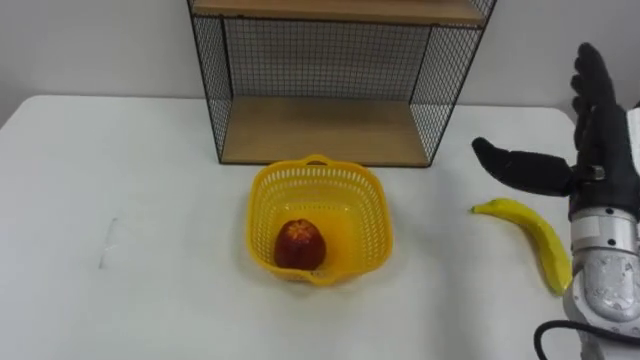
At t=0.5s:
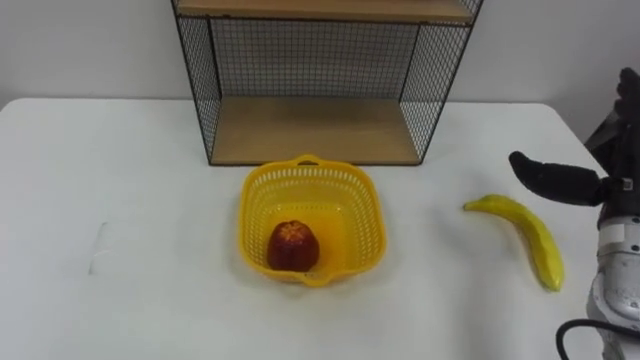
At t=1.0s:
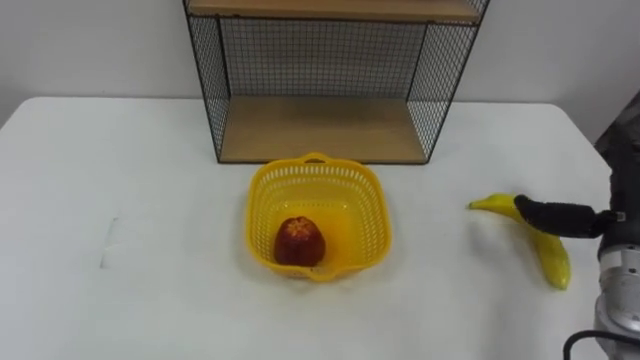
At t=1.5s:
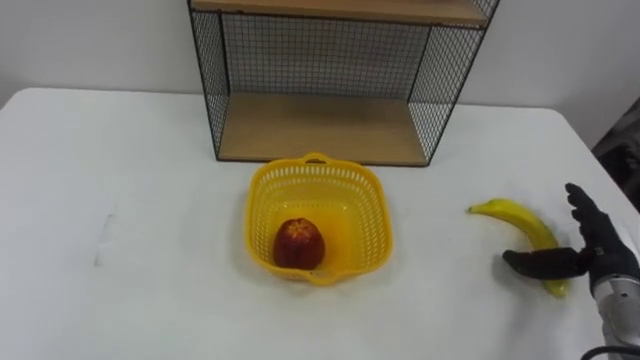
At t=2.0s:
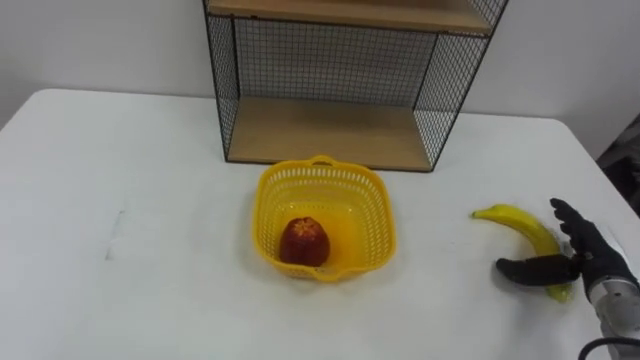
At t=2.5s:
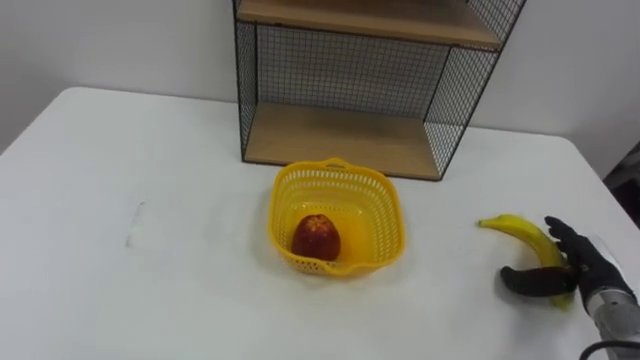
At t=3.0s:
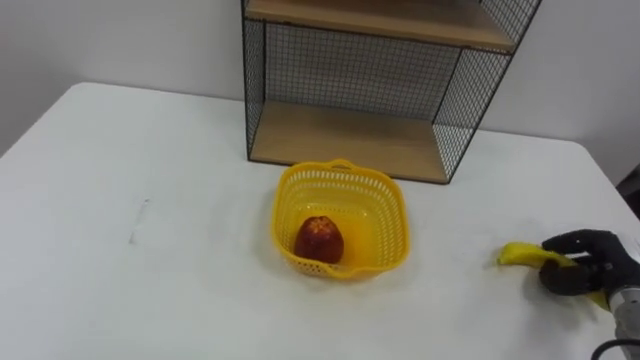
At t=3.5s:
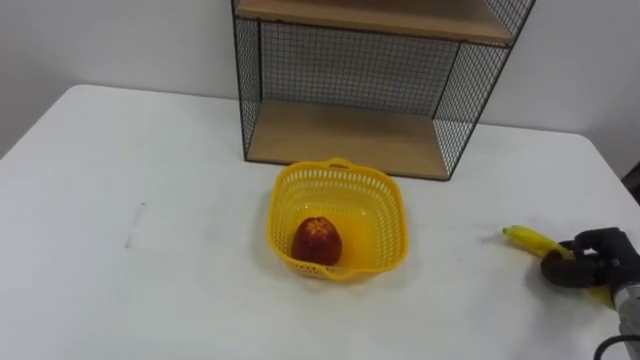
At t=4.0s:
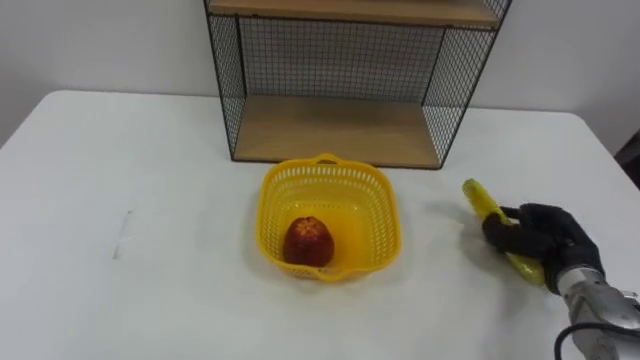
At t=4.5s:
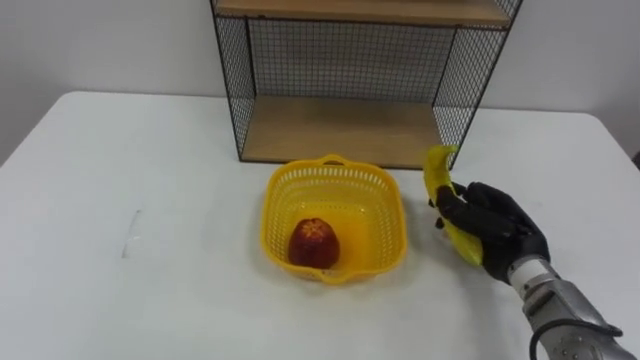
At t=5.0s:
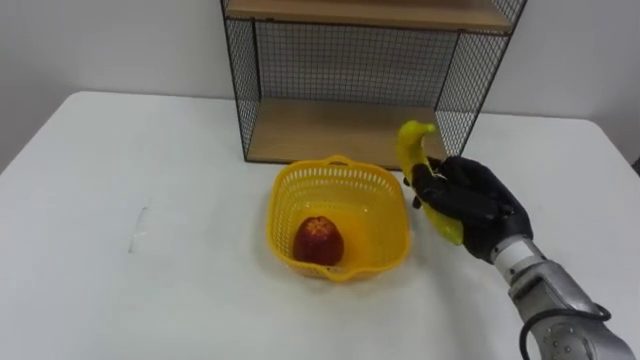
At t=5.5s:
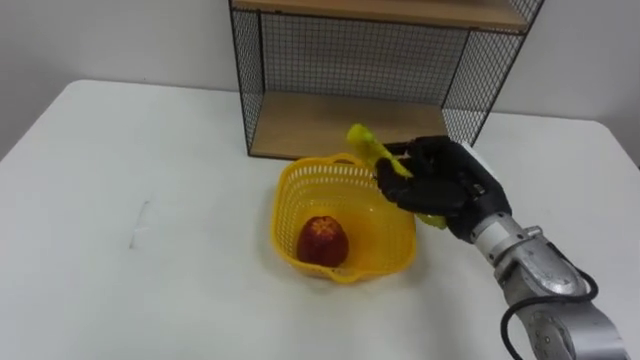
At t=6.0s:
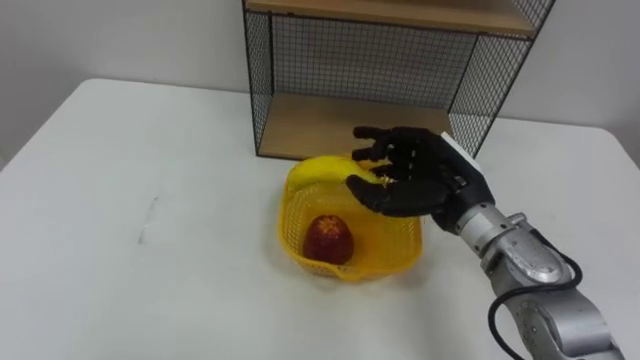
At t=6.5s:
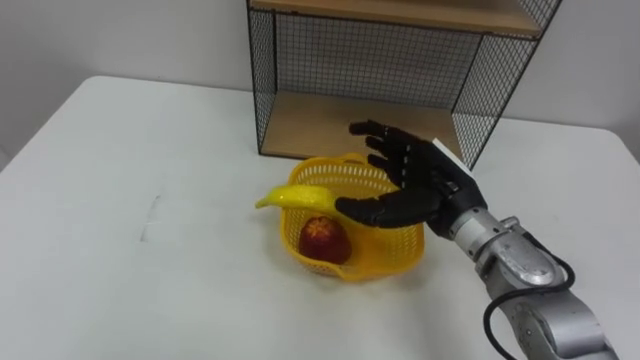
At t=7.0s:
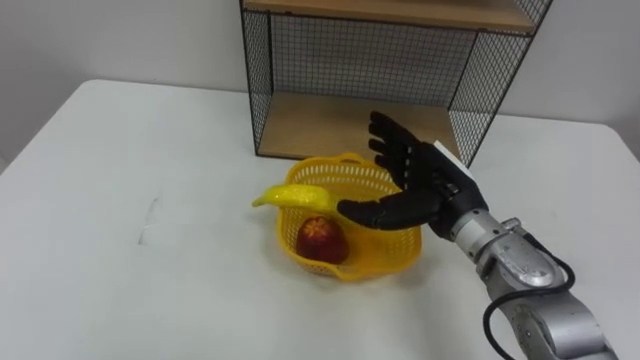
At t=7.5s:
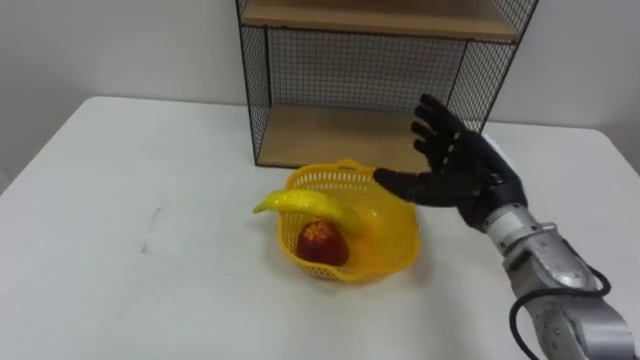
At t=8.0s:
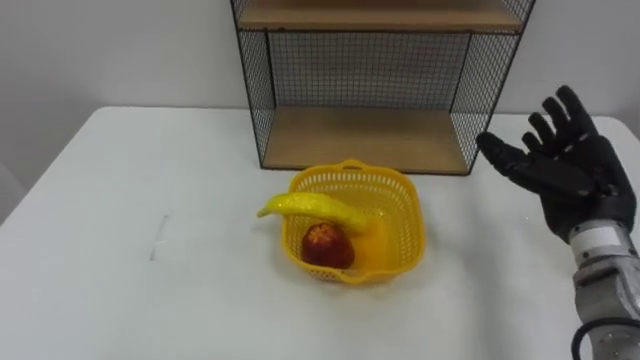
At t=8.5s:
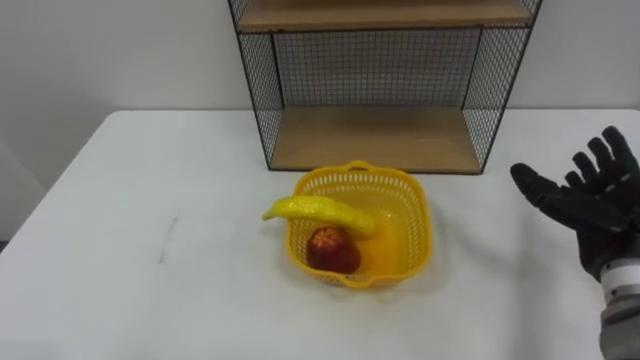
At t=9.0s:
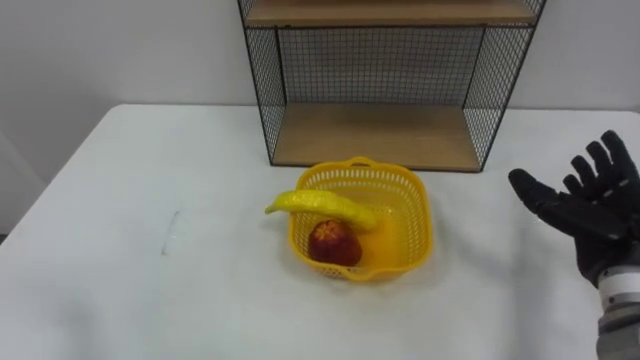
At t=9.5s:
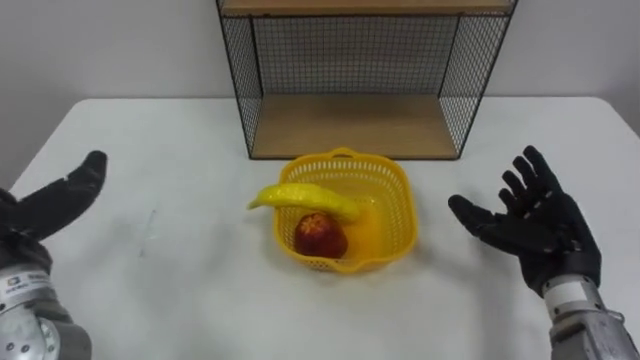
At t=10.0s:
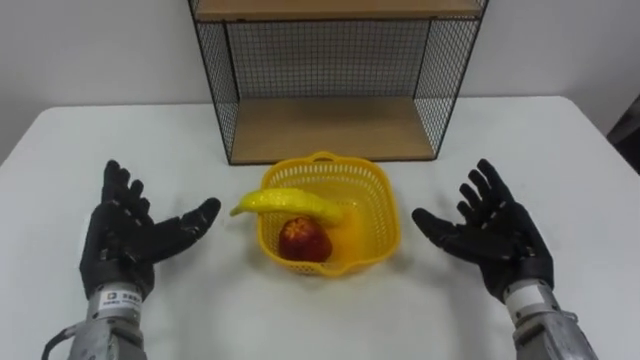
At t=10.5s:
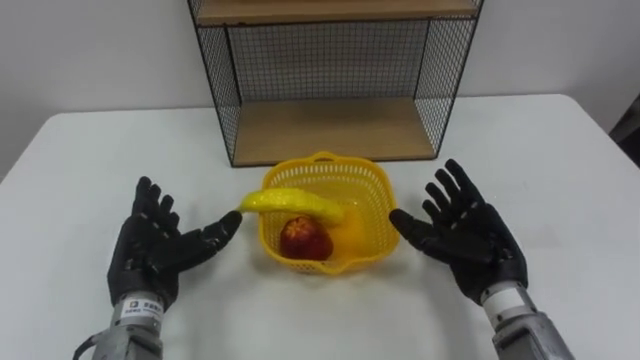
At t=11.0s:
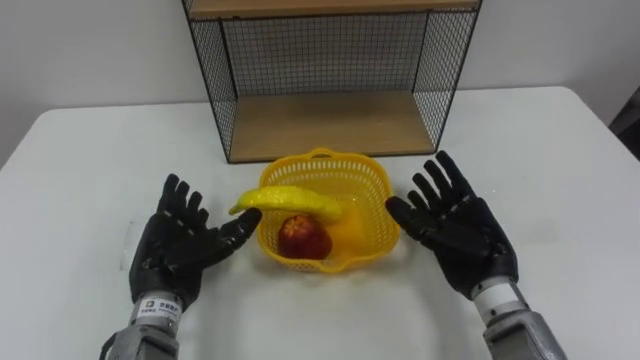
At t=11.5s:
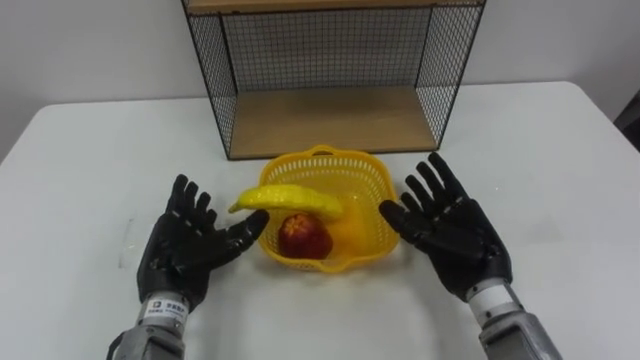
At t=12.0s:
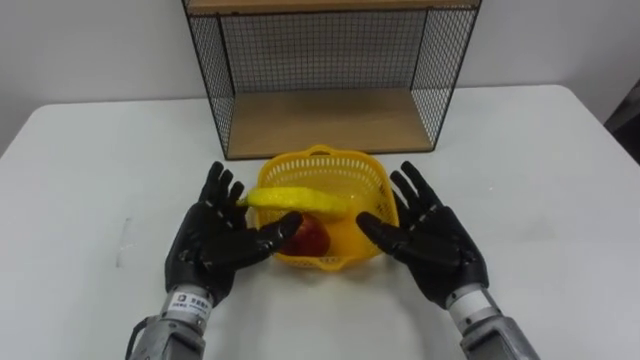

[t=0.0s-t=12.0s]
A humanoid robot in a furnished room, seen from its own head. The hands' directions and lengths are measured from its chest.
Task of the whole recording: Put the fruit on the table into the basket, then place the basket on the shelf.
t=2.0s to t=4.0s: The right hand closes up.
t=4.0s to t=6.0s: The right hand goes roughly 20 cm to the left and upward.
t=6.0s to t=8.0s: The right hand travels to the right by some 15 cm, and opens.
t=8.0s to t=10.0s: The right hand heads downward and to the left, covering roughly 10 cm.
t=10.0s to t=12.0s: The right hand moves to the left, about 10 cm. Meanwhile the left hand travels to the right by roughly 10 cm.

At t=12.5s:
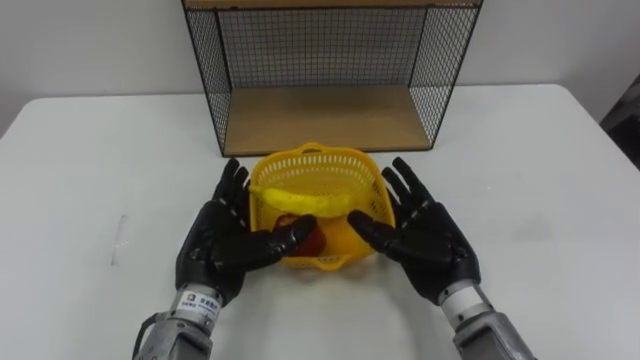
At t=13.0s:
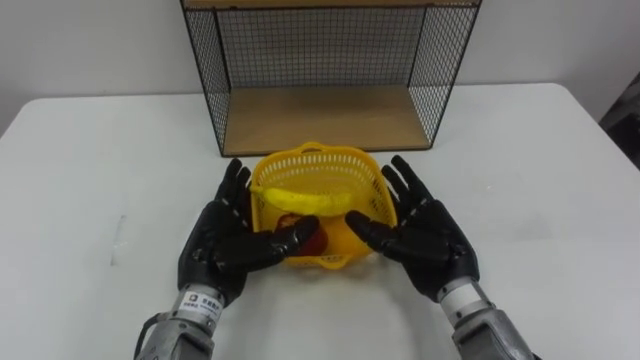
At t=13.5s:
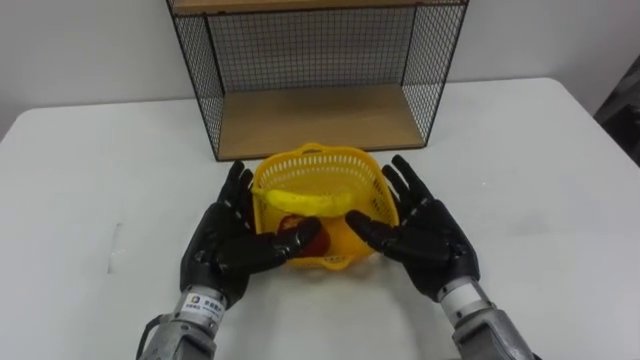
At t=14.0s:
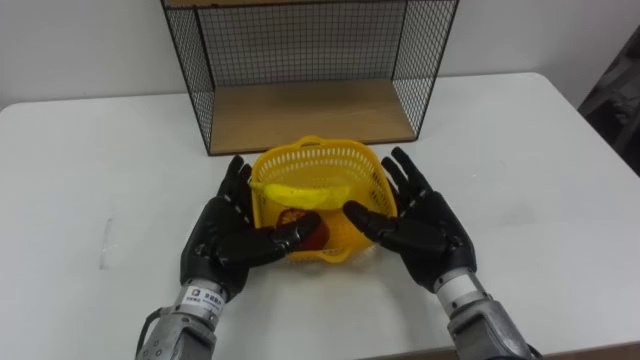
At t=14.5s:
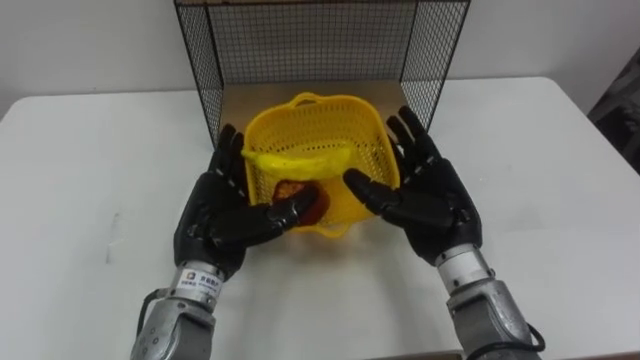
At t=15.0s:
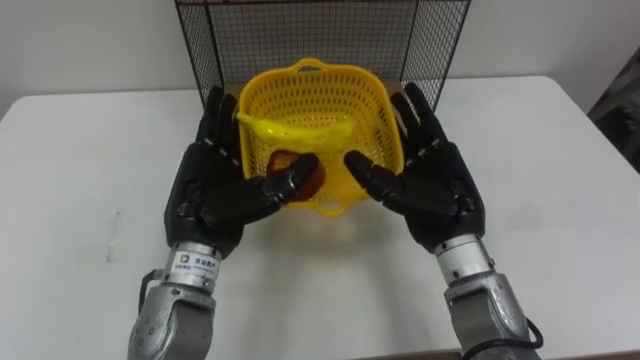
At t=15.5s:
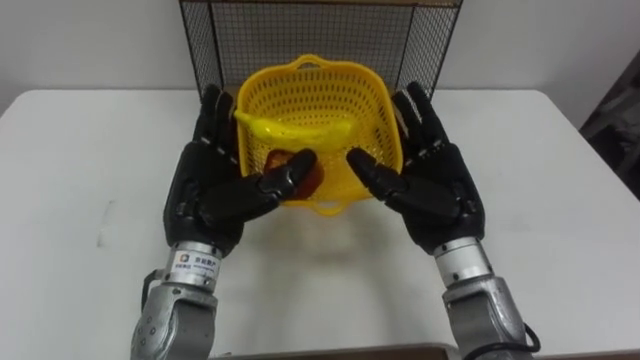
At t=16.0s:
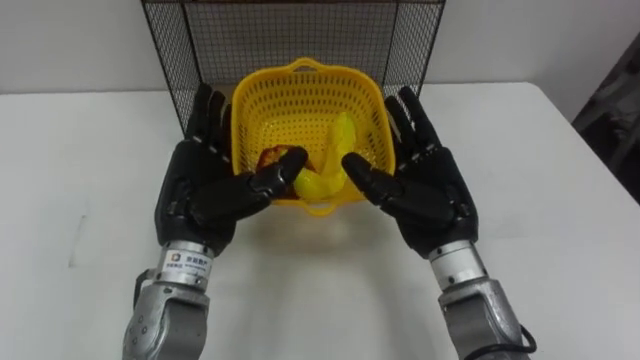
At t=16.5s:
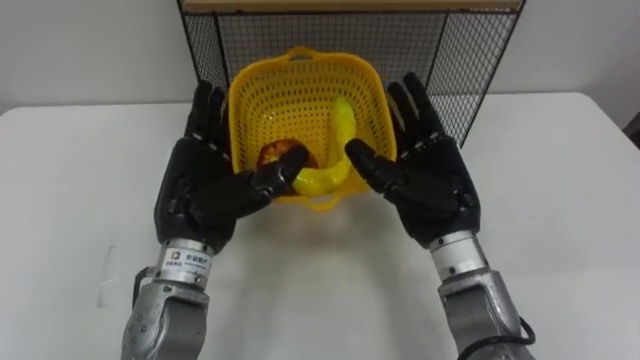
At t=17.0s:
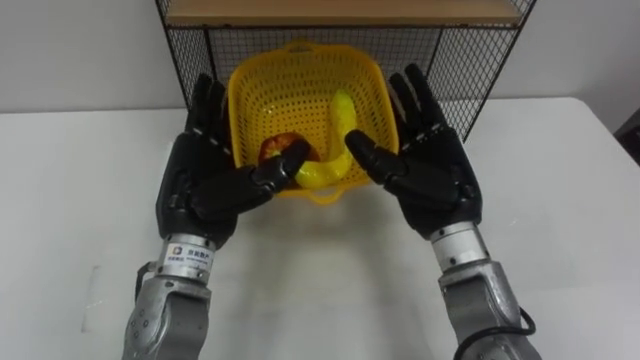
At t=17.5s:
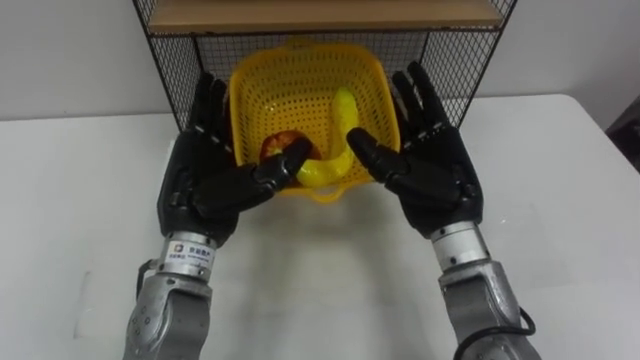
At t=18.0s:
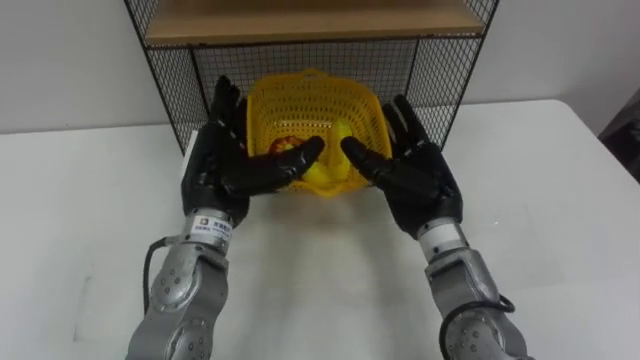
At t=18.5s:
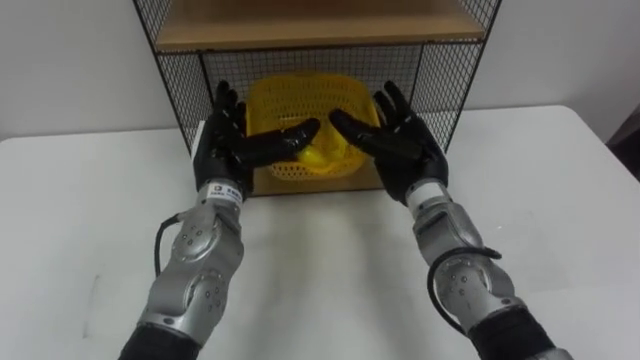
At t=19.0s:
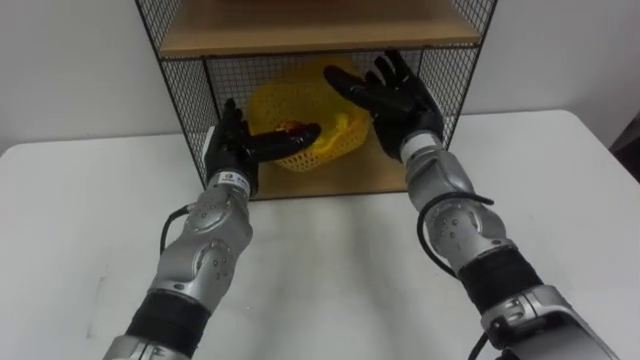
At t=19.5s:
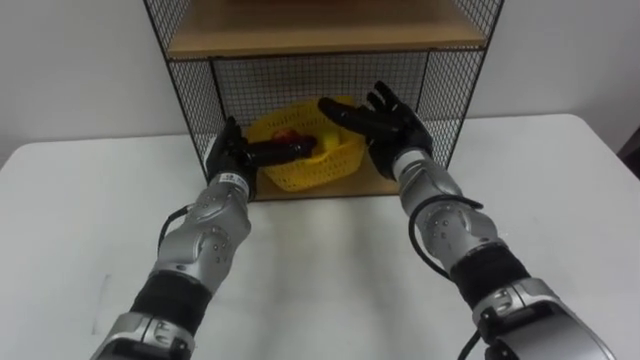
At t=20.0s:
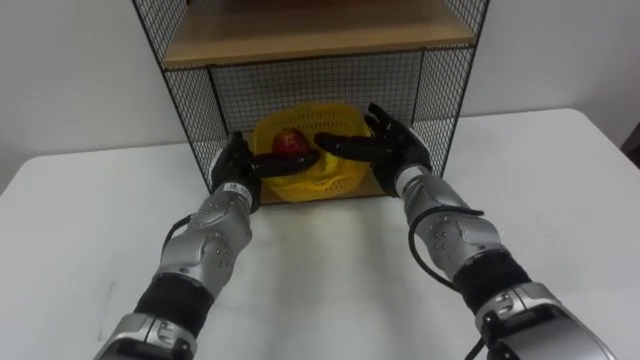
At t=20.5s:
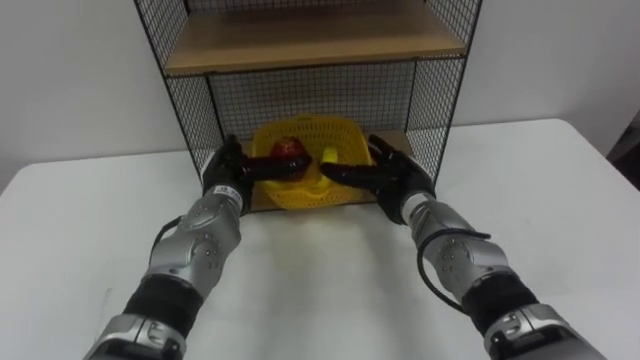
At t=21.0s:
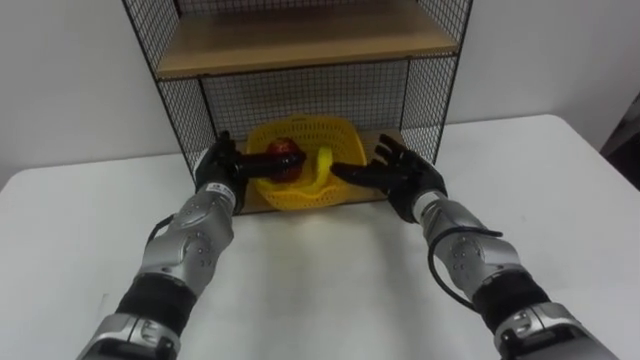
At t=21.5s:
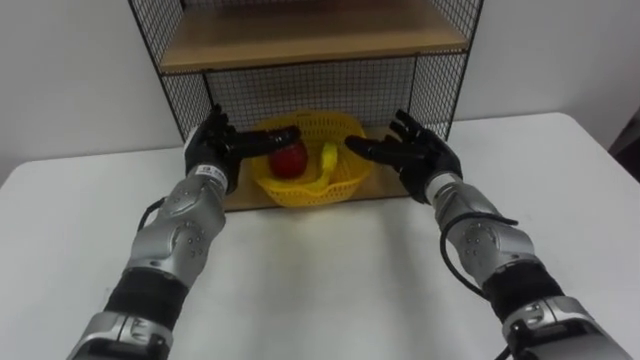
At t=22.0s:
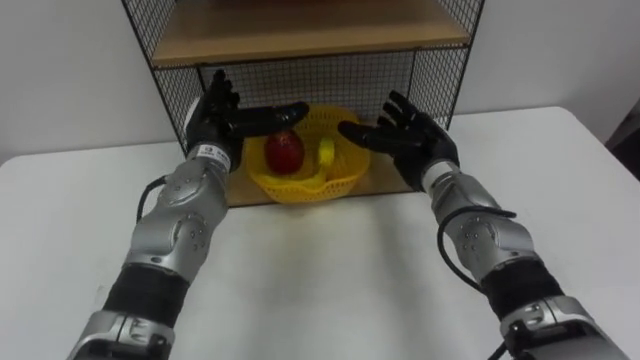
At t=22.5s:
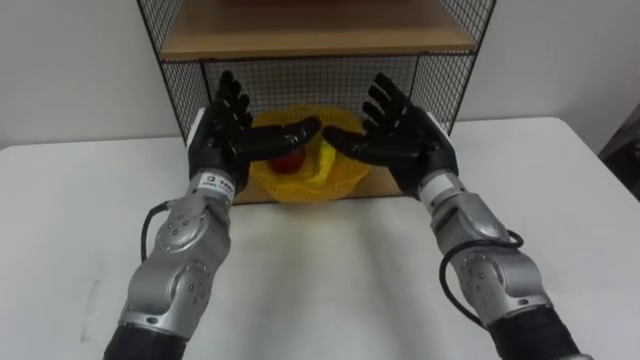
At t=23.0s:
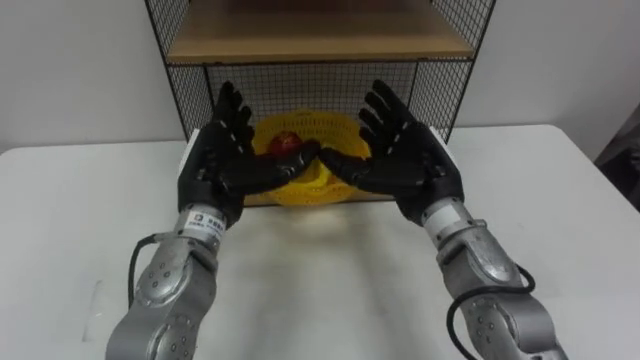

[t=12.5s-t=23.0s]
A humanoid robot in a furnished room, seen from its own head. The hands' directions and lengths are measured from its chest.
Task of the whole recording: Put the fruit on the table into the basket, then place the basket on the shelf.
t=12.5s to t=14.5s: The right hand is displaced upward by roughly 5 cm.
t=16.5s to t=19.0s: The right hand goes approximately 10 cm forward; the left hand heads forward and downward, covering roughly 10 cm.
t=19.0s to t=21.0s: The right hand goes roughly 10 cm downward. The left hand ends up approximately 5 cm from where it was.
t=21.0s to t=23.0s: The right hand goes some 10 cm upward; the left hand goes about 10 cm upward and backward.
